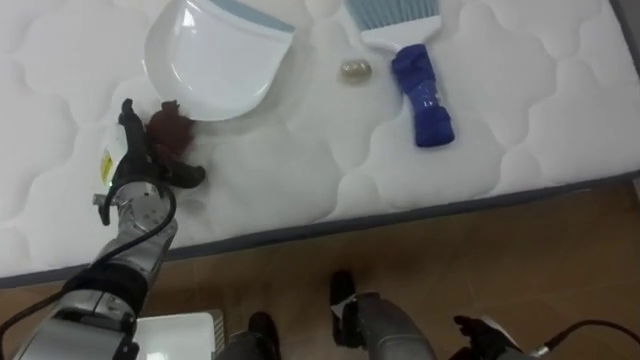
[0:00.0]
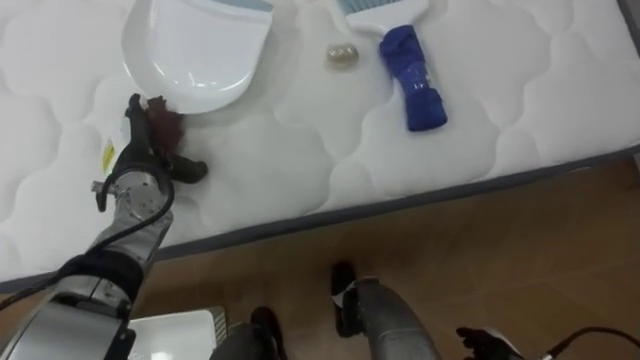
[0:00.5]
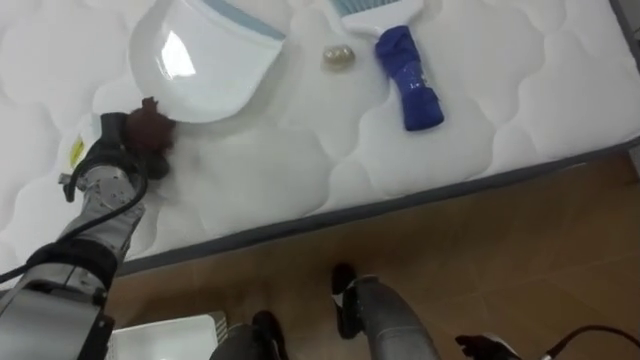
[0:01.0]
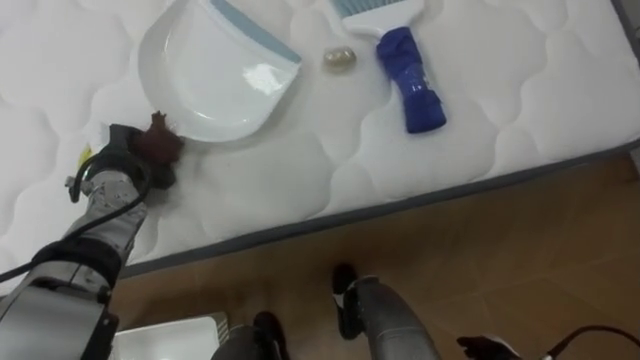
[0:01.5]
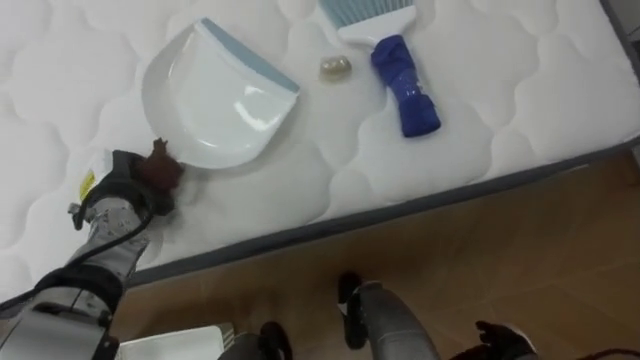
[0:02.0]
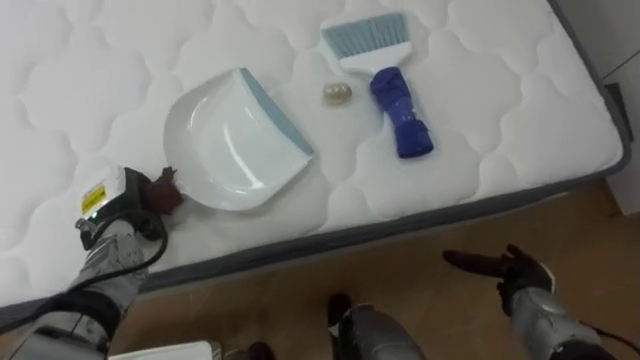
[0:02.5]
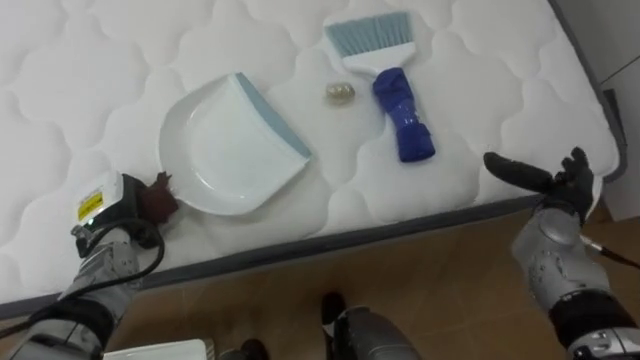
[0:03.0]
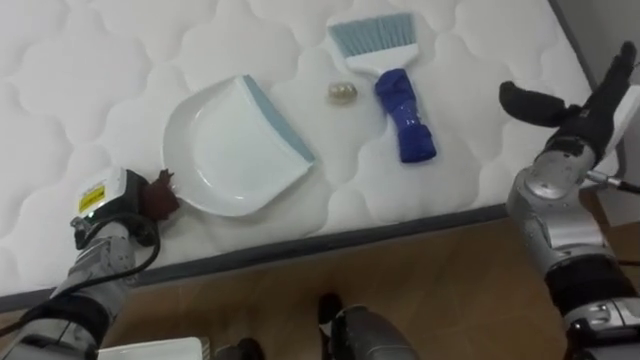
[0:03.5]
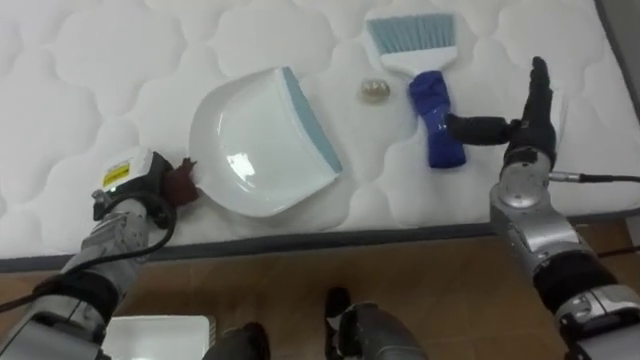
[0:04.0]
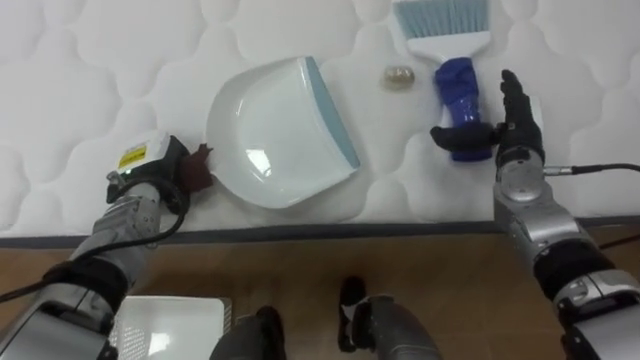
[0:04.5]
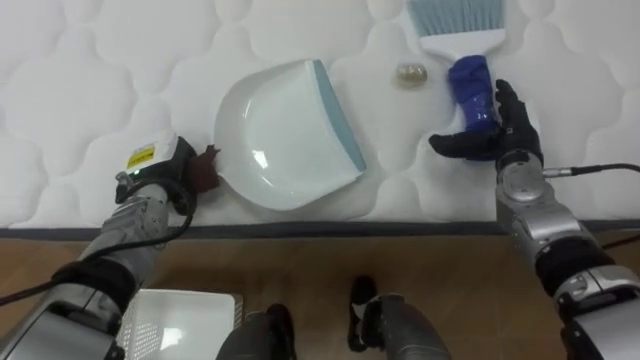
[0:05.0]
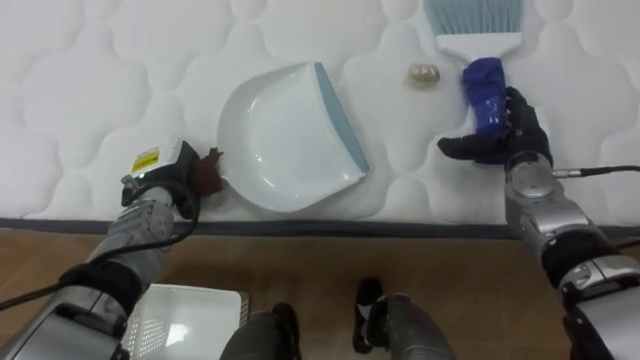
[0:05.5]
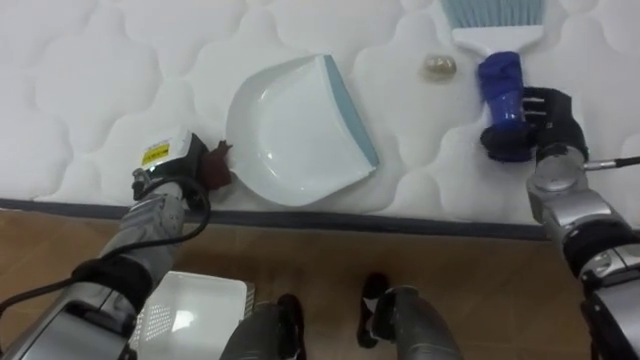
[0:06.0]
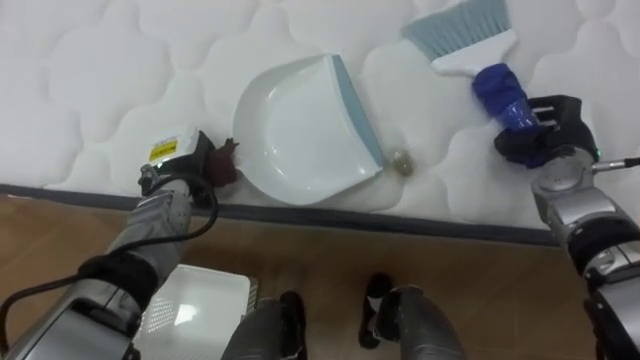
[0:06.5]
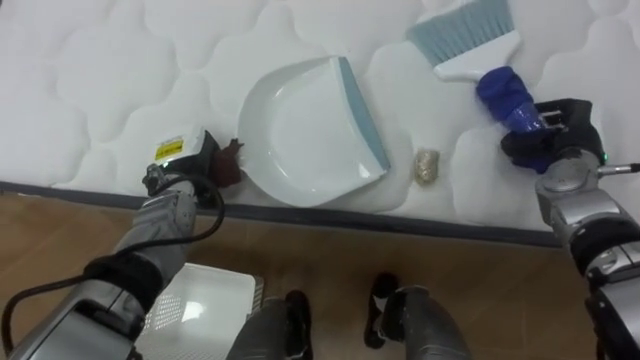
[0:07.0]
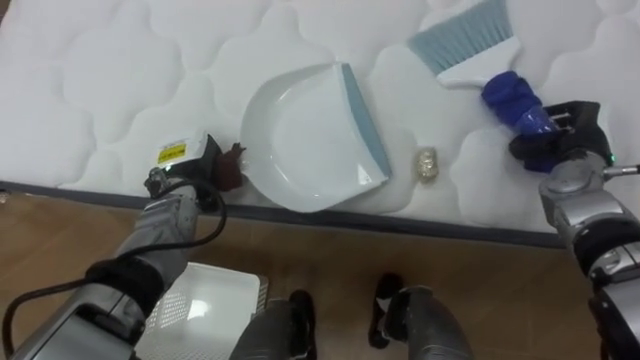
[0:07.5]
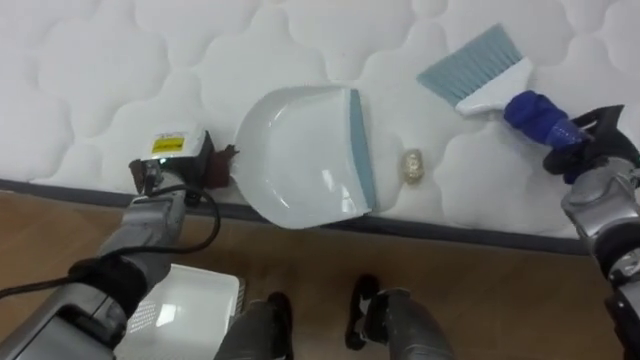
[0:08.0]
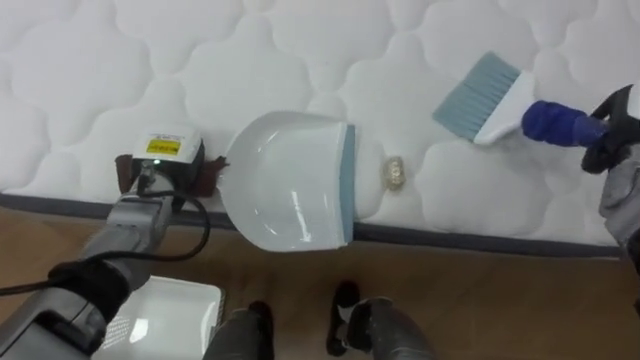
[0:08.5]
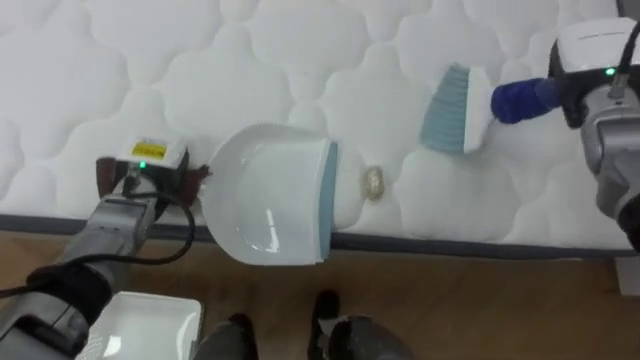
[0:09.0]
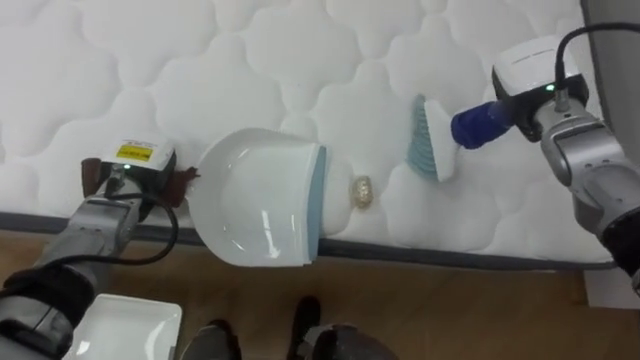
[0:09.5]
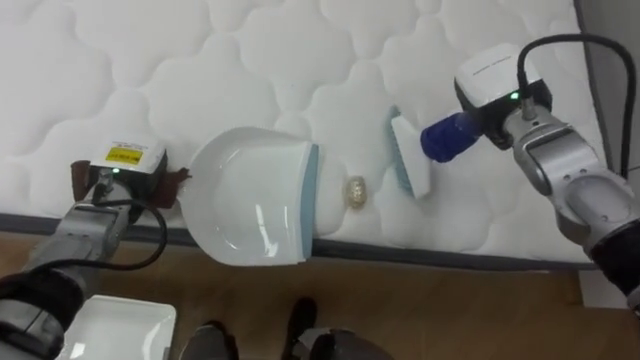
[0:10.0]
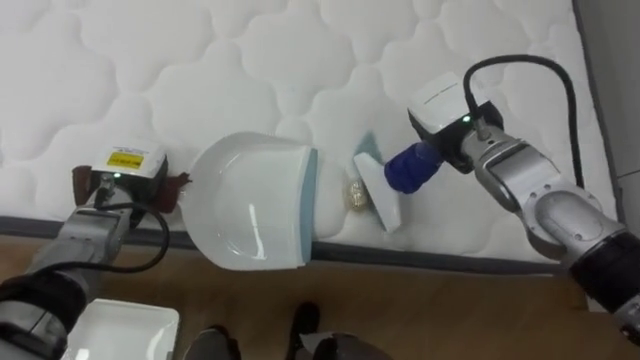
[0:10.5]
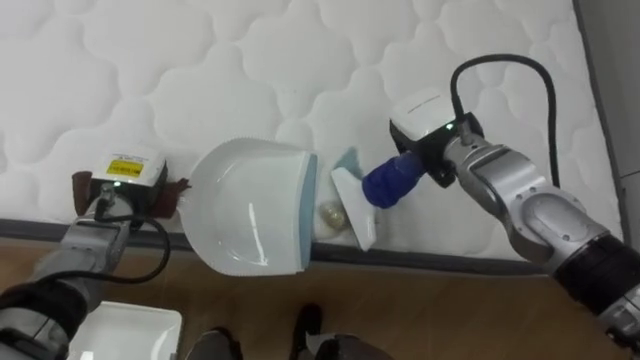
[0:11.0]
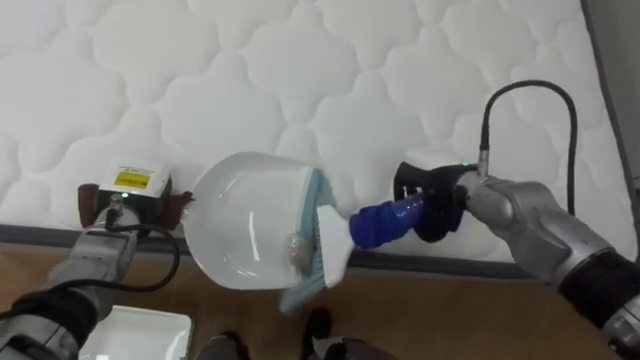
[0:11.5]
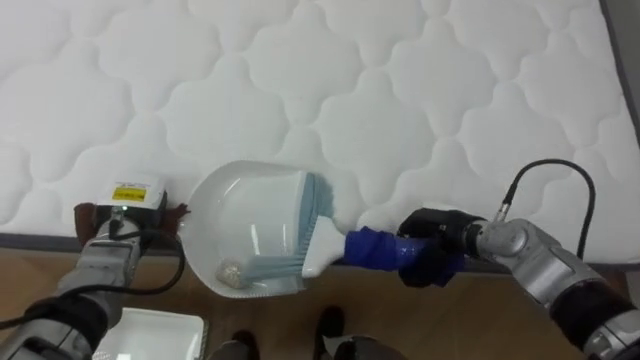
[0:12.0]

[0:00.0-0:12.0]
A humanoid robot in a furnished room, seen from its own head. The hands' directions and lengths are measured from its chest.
Task of the whole recording: Pick up the brush on your right and the dustpan on your left. Use the brush to sweep the crumpled paper on the bed into the dustpan, then turn left and empty it into the basket.
0:00.0 to 0:02.0: The left hand closes up.
0:04.0 to 0:06.0: The left hand shifts about 5 cm to the right.
0:06.0 to 0:08.0: The right hand goes approximately 5 cm to the right, and closes.
0:08.0 to 0:10.0: The left hand moves to the left, approximately 5 cm.
0:10.0 to 0:12.0: The right hand heads downward and backward, covering roughly 20 cm; the left hand travels downward by roughly 5 cm.

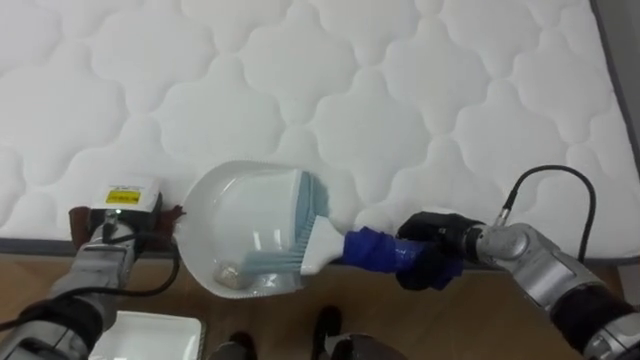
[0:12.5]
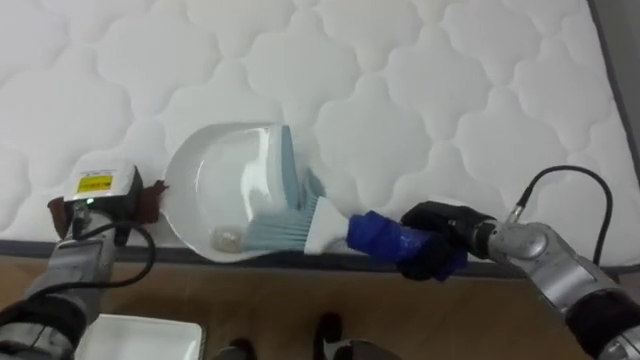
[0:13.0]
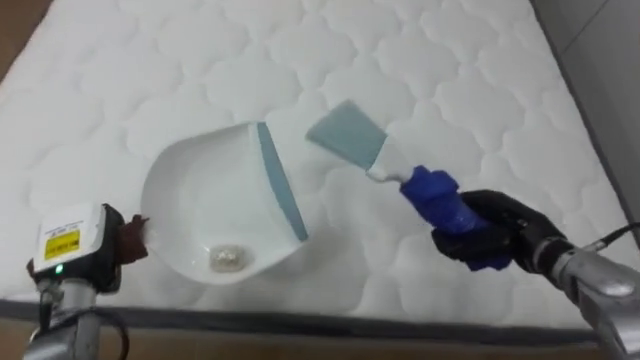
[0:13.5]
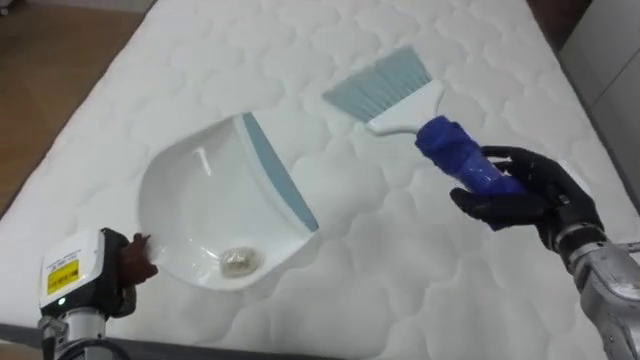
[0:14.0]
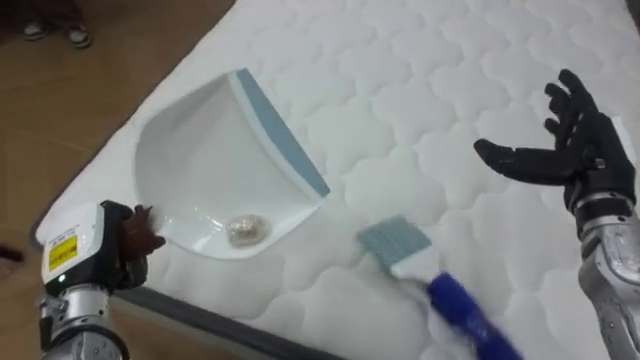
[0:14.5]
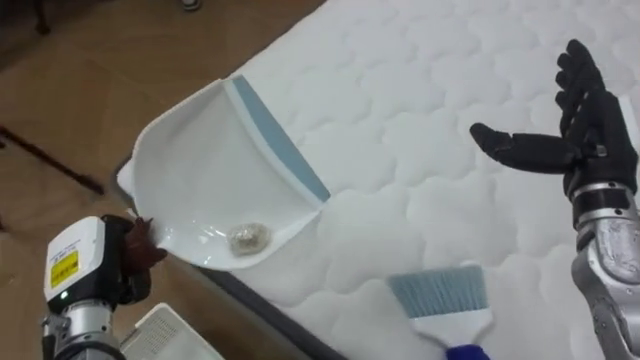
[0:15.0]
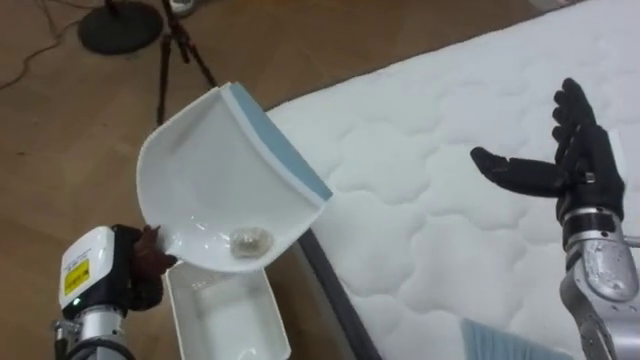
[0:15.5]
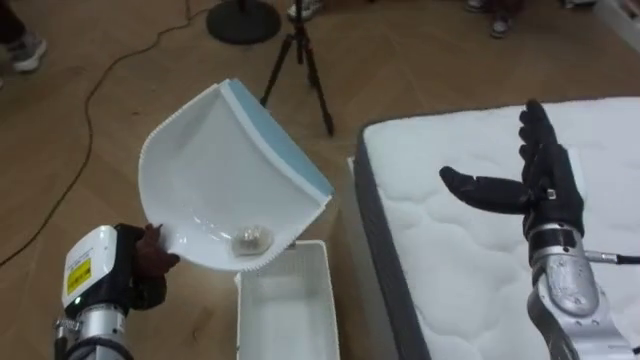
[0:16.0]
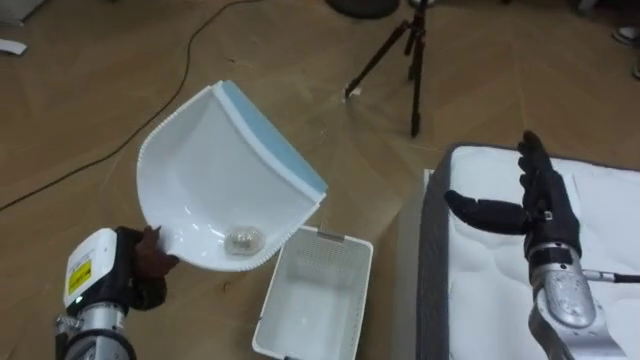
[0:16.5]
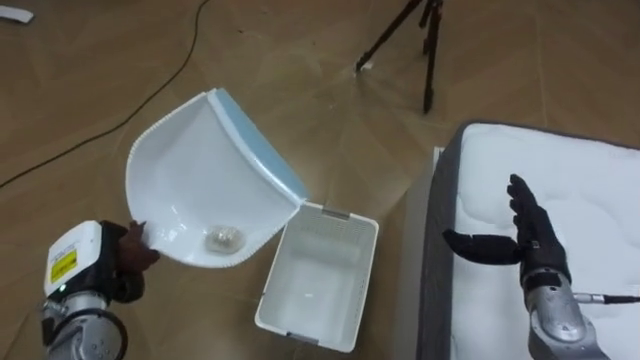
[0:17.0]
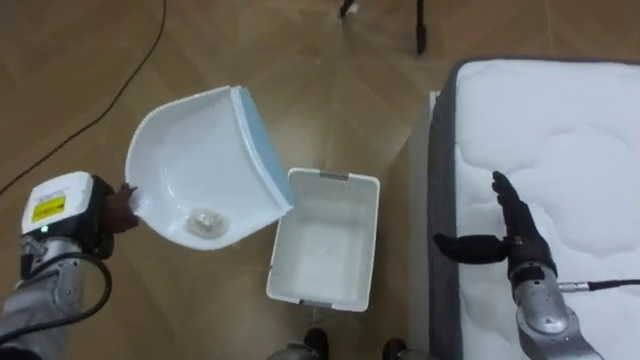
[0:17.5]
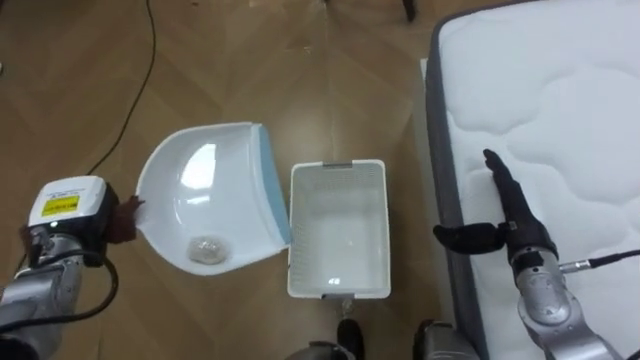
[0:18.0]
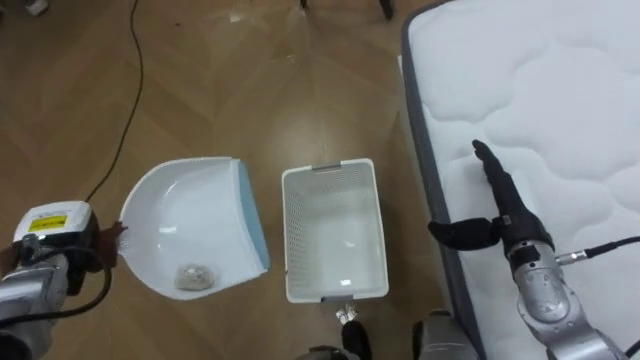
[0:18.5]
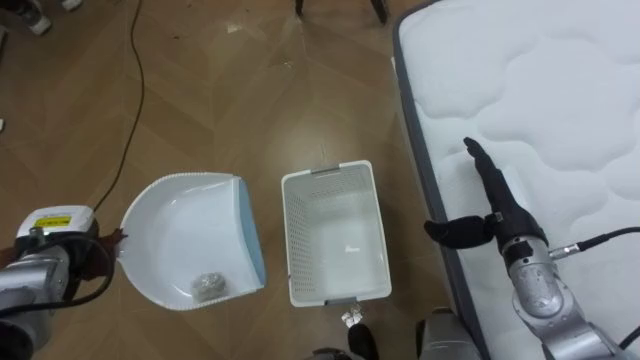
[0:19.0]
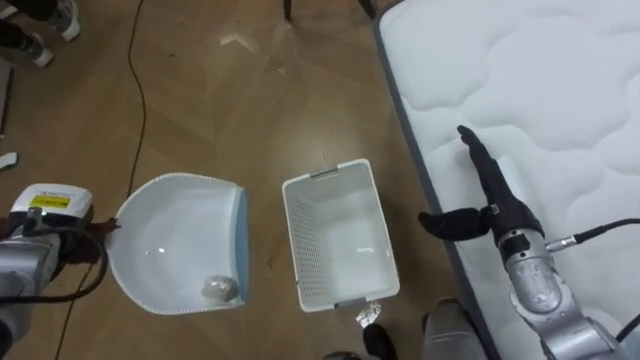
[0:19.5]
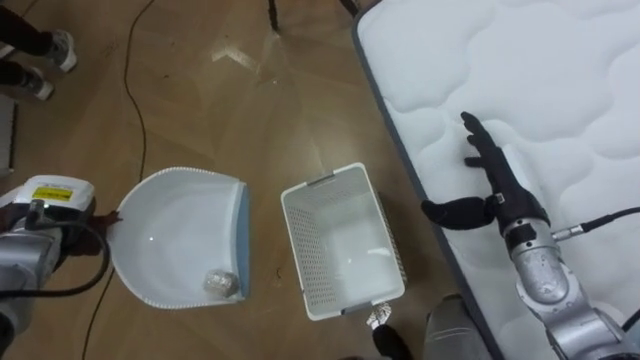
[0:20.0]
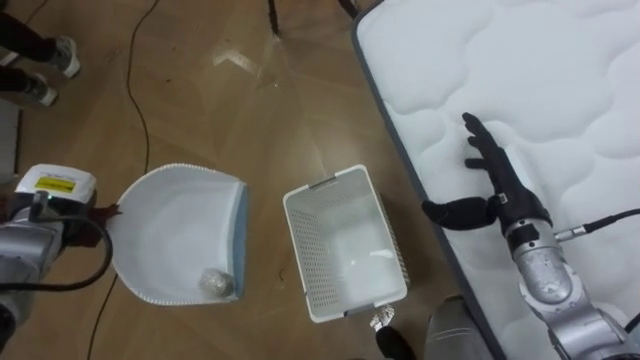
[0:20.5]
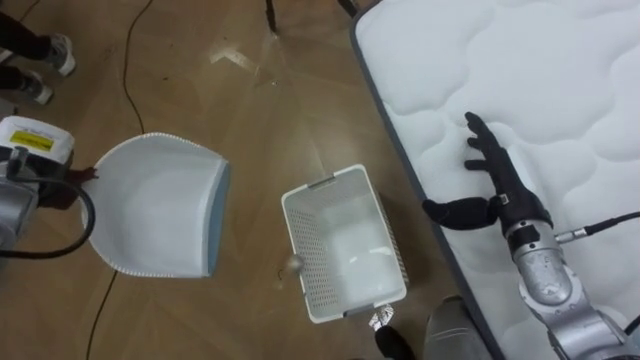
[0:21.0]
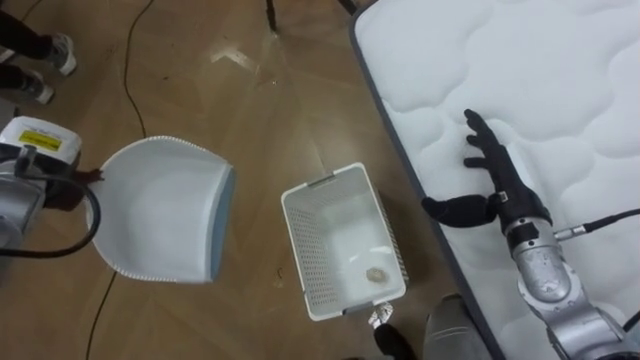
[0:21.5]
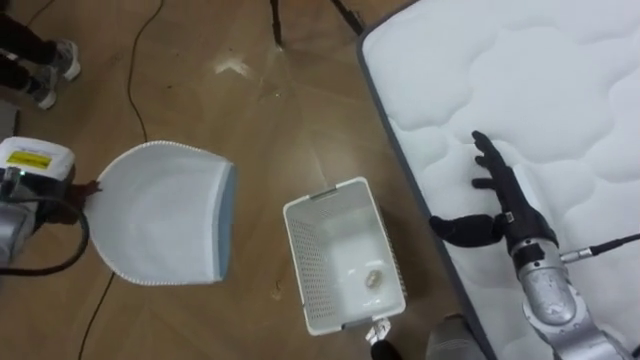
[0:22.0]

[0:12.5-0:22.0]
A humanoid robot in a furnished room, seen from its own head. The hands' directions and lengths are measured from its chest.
Task of the whole recording: Pick up the brush on your right and the dustpan on your left. Use the brush to sweep the crumpled paper on the bed into the dustpan, then turn left and empty it into the basket.
0:12.5 to 0:14.5: The robot's body swings some 20 degrees to its left. The left hand moves backward, roughly 10 cm. Meanwhile the right hand is displaced upward and to the right by some 20 cm, and opens.
0:14.5 to 0:16.5: The robot rotates approximately 80 degrees to its left. The right hand goes about 5 cm downward.
0:16.5 to 0:18.0: The left hand moves forward, about 10 cm.
0:20.0 to 0:22.0: The left hand ends up some 5 cm from where it was.
